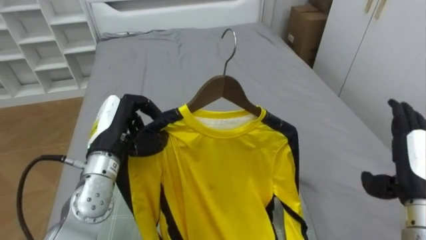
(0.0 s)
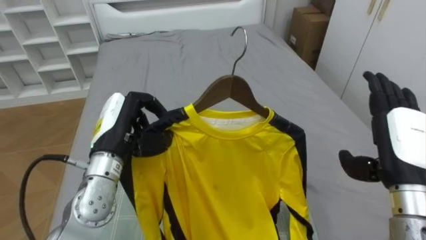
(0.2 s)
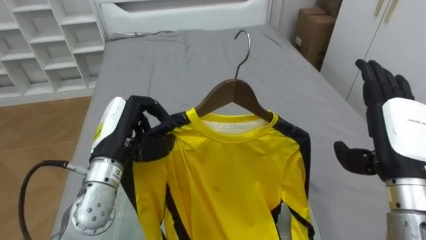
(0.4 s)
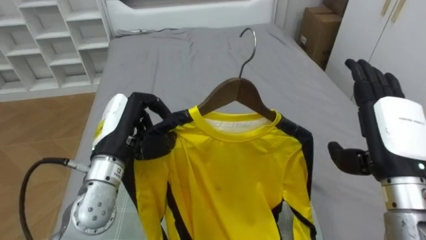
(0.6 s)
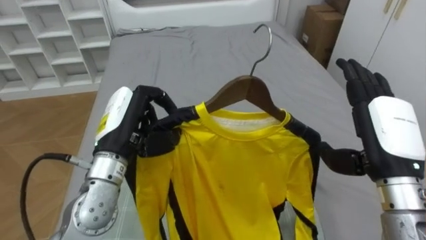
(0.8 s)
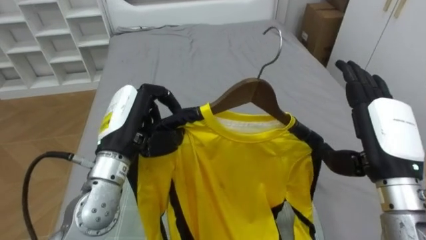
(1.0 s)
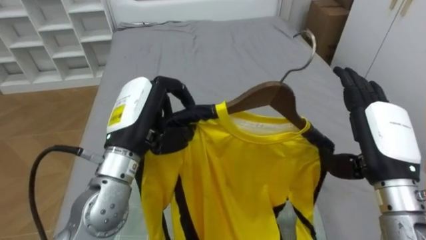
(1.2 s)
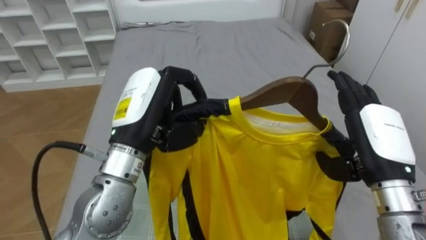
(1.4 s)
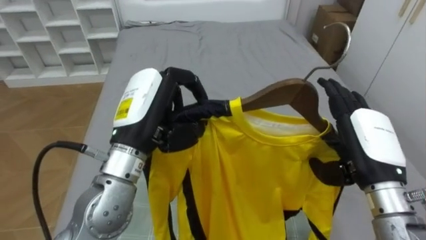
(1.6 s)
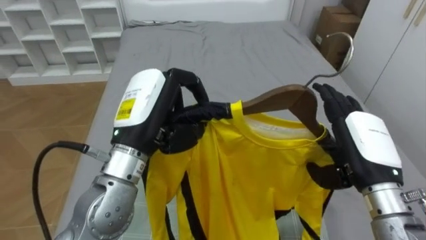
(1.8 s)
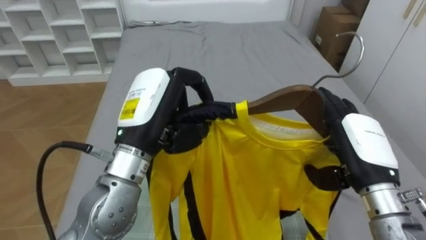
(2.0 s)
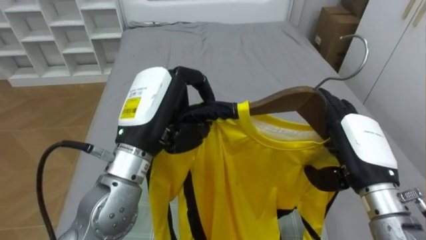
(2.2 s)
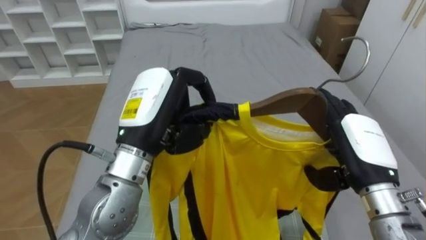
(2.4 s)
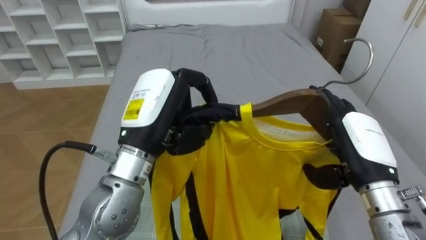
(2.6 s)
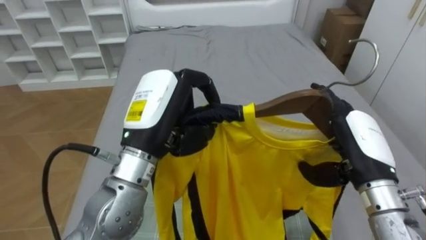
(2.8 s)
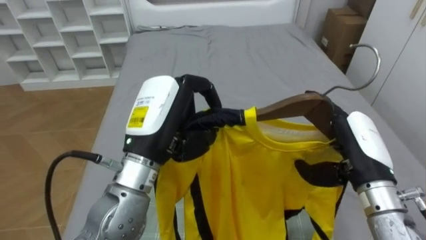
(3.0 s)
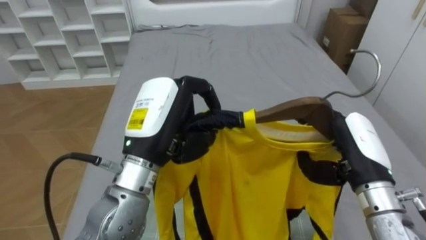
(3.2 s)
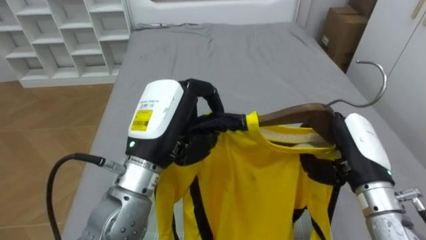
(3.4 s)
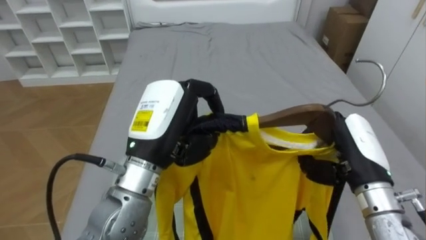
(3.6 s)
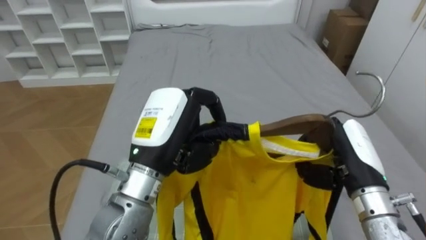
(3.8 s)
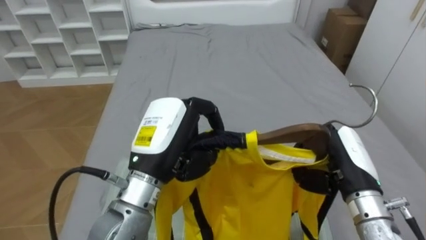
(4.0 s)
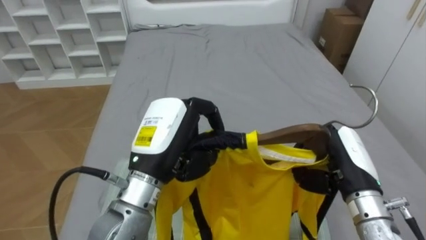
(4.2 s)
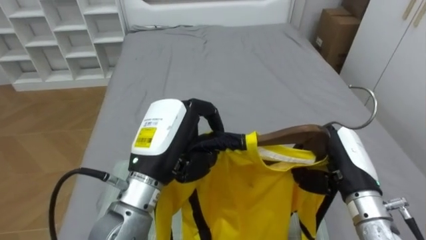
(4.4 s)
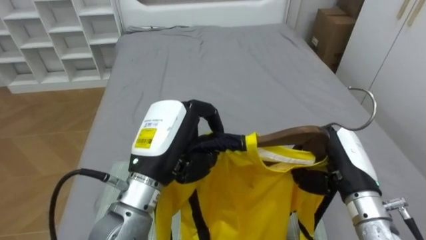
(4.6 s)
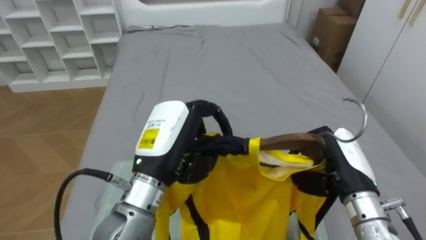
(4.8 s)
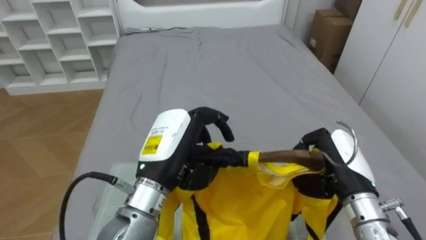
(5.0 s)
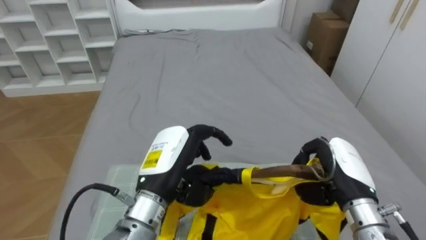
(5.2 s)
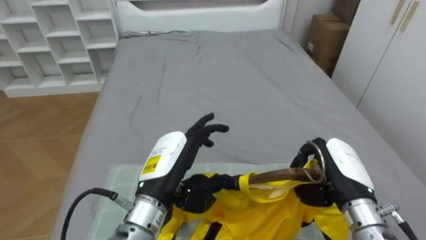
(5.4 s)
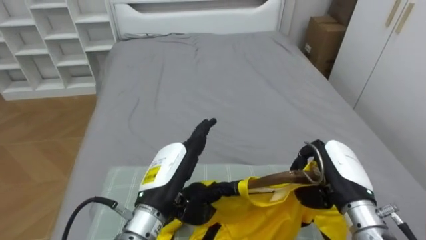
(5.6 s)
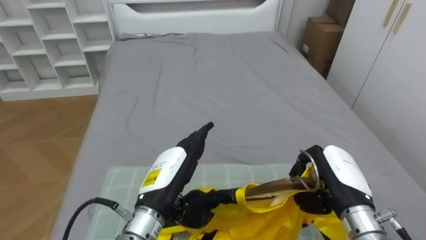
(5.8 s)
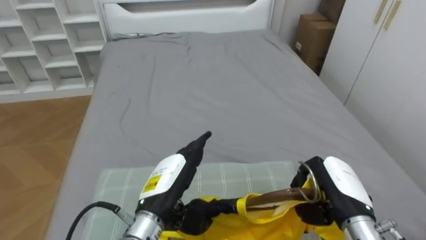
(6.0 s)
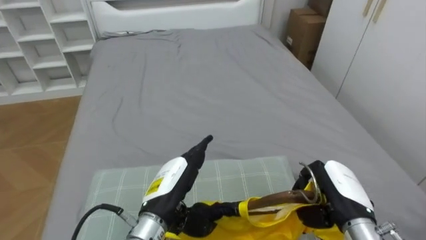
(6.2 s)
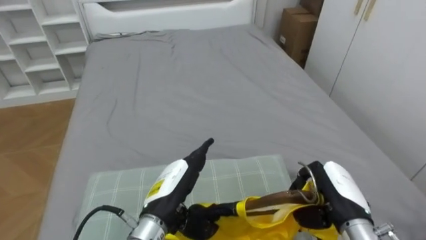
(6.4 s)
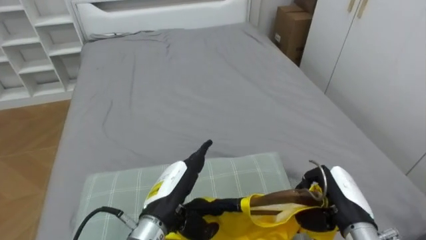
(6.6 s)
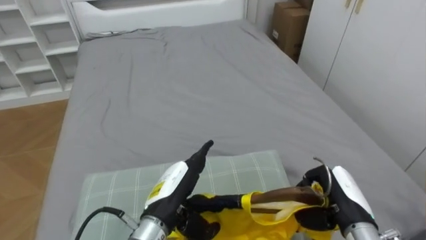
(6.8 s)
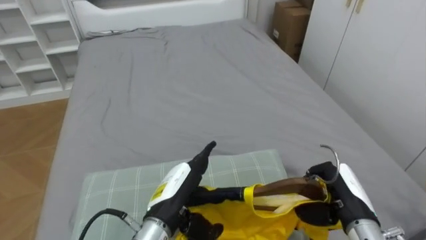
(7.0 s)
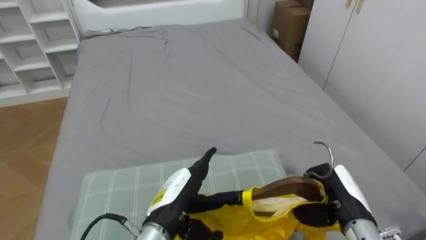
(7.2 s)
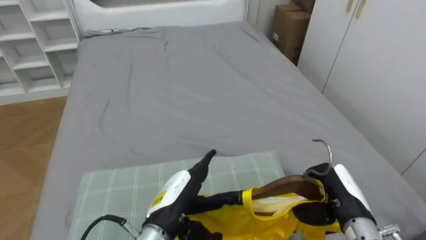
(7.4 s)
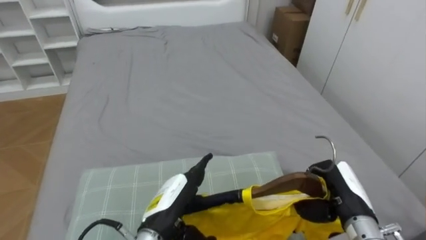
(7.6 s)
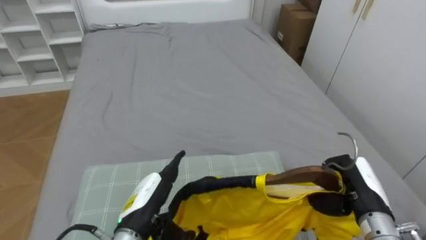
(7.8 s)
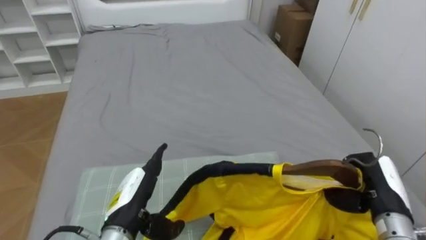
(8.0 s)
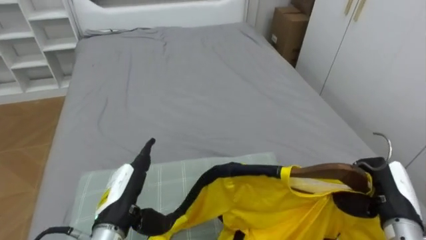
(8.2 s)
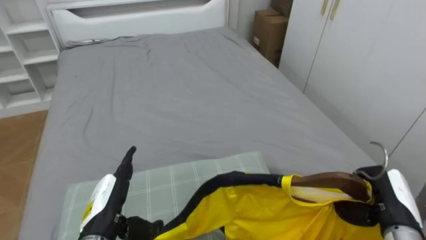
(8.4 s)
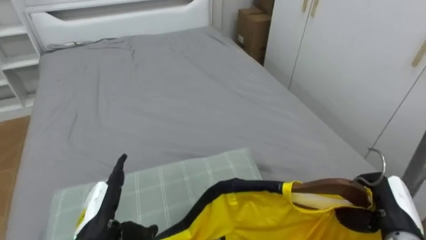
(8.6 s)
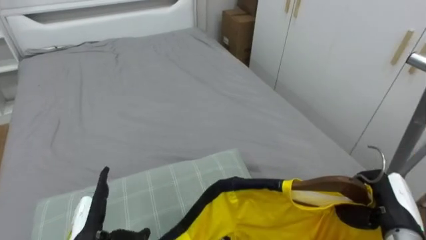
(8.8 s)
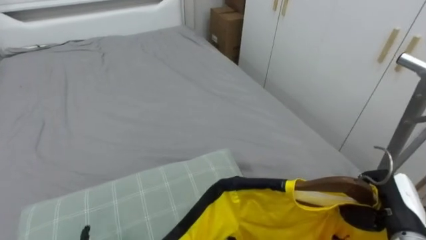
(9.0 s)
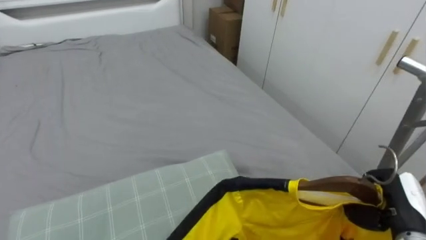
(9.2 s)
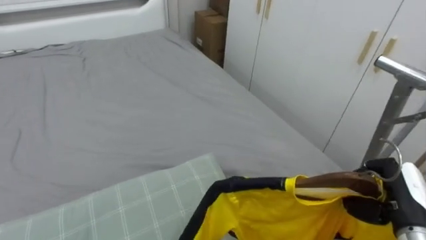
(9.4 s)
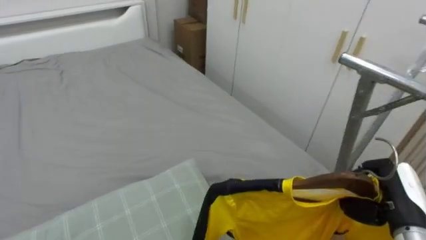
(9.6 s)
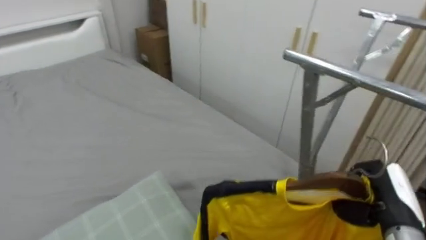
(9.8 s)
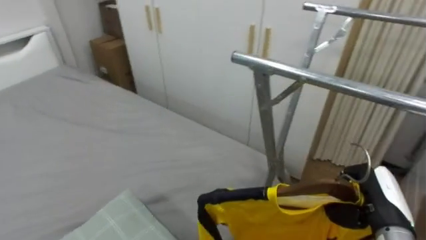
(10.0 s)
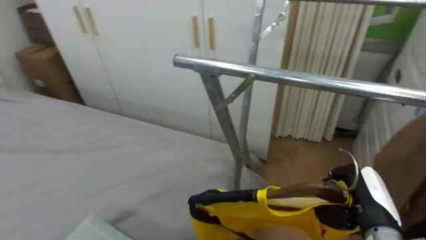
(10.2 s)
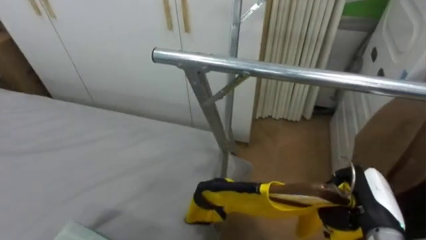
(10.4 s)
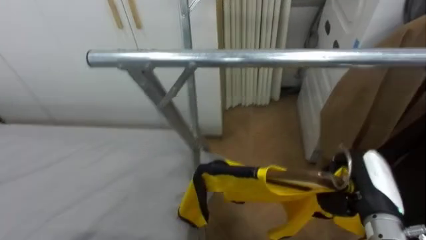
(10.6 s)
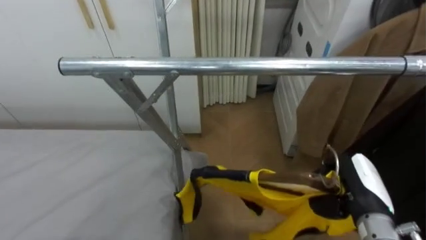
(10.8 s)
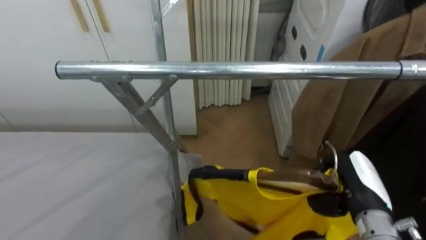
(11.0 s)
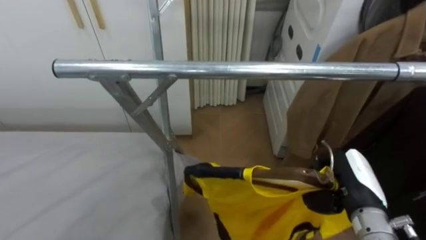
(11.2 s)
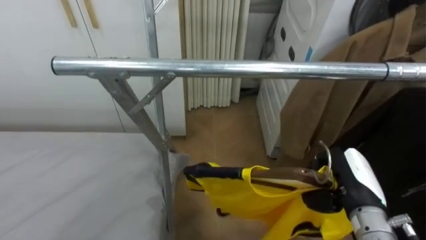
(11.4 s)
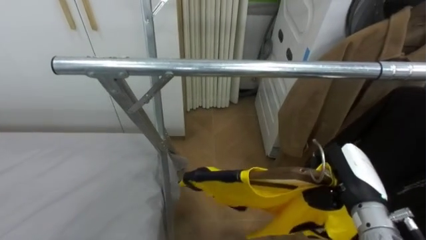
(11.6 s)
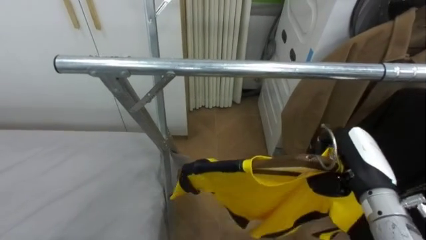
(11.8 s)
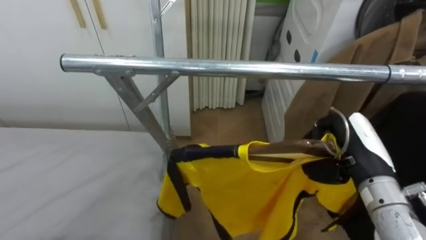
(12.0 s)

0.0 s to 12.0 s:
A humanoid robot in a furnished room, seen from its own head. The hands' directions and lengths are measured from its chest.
Task of the whole recording: Pick up the yellow shirt on the bed and hang it on the clothes rack on the right.
0.0 to 1.6 s: The left hand is displaced upward and to the right by some 10 cm. The right hand is displaced to the left by approximately 10 cm.
3.0 to 4.4 s: The right hand closes its fingers.
4.4 to 6.0 s: The right hand heads downward, covering about 5 cm; the left hand shifts some 10 cm downward, and opens.
7.6 to 9.0 s: The robot rotates some 15 degrees to its right. The right hand is displaced to the right by some 10 cm.
9.0 to 10.4 s: The robot turns to its right by some 45 degrees.
10.4 to 12.0 s: The robot's body swings roughly 15 degrees to its right. The right hand moves upward, approximately 10 cm.

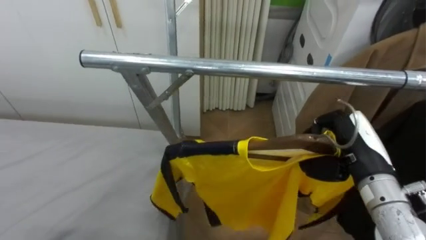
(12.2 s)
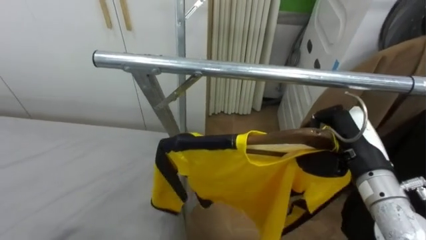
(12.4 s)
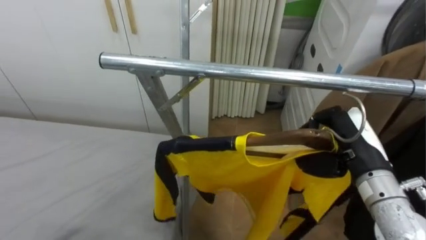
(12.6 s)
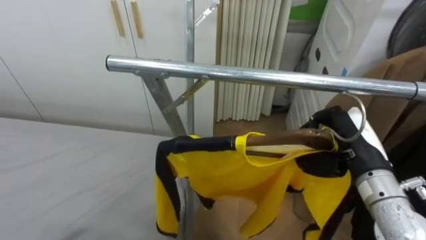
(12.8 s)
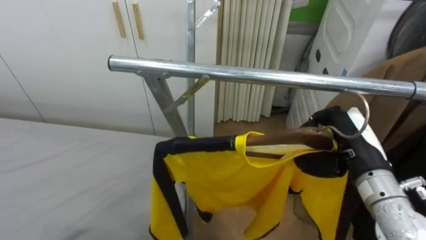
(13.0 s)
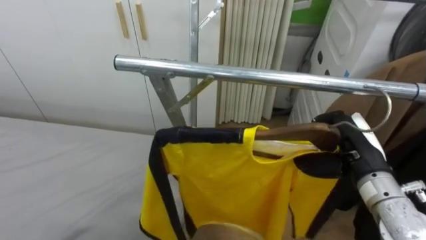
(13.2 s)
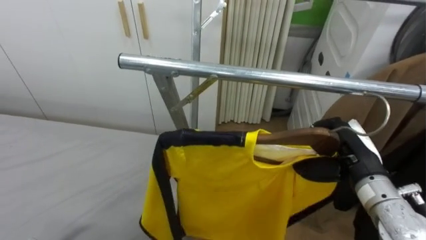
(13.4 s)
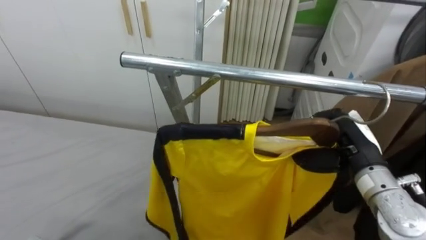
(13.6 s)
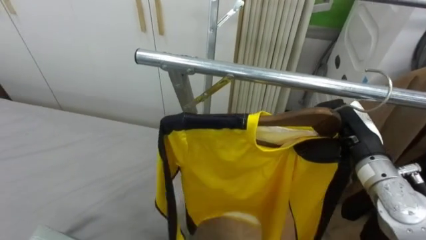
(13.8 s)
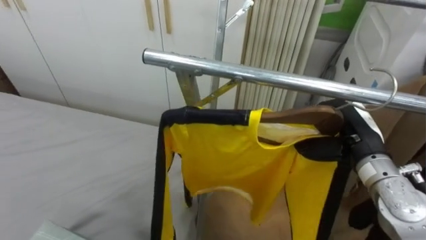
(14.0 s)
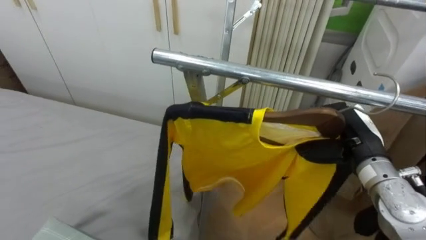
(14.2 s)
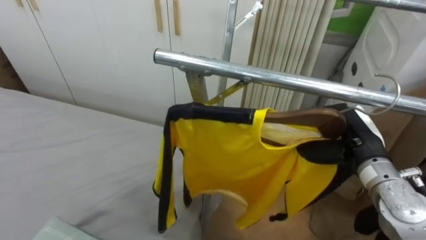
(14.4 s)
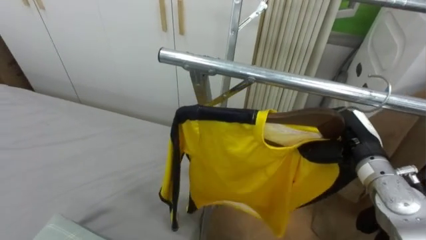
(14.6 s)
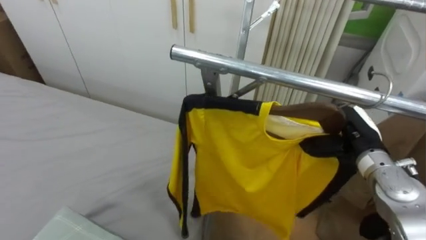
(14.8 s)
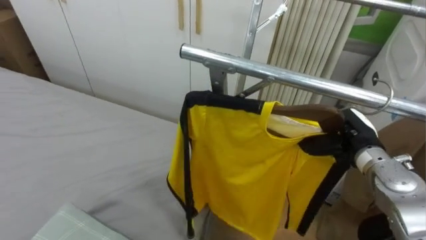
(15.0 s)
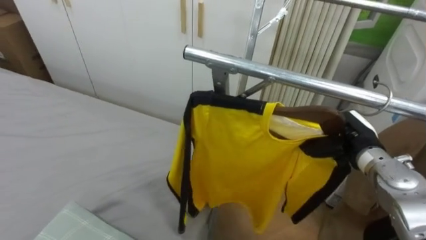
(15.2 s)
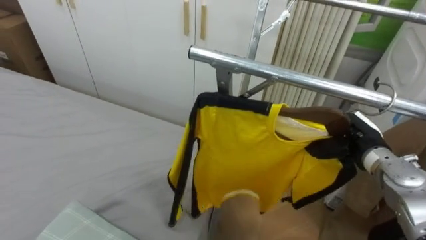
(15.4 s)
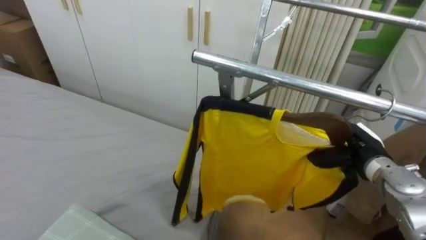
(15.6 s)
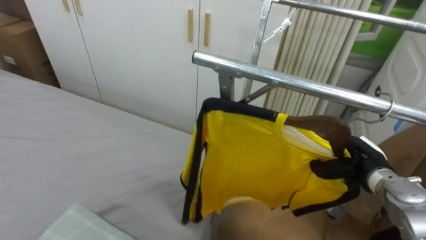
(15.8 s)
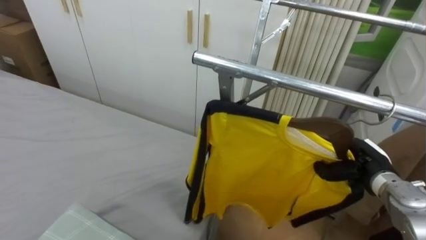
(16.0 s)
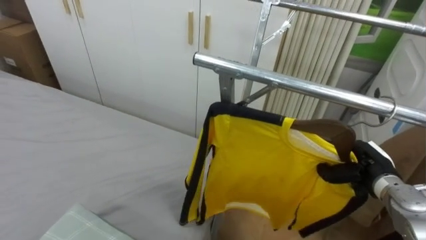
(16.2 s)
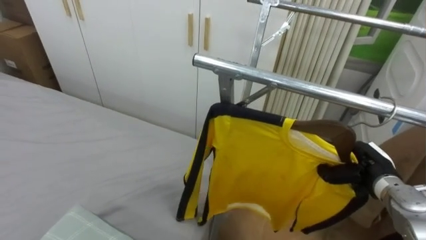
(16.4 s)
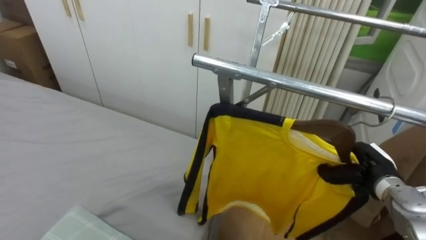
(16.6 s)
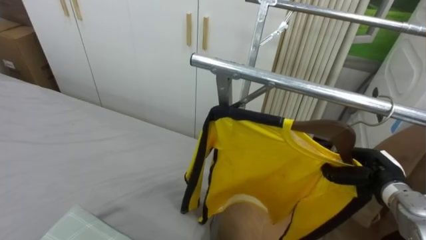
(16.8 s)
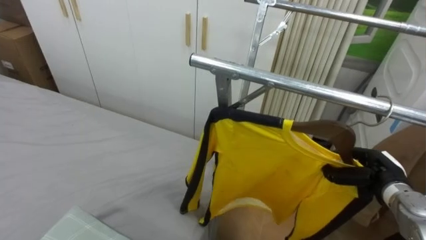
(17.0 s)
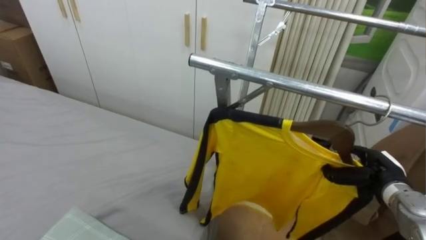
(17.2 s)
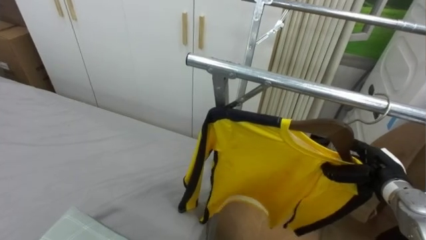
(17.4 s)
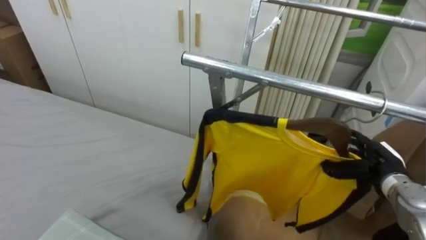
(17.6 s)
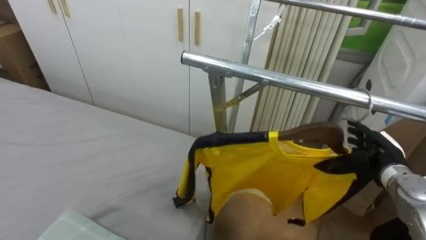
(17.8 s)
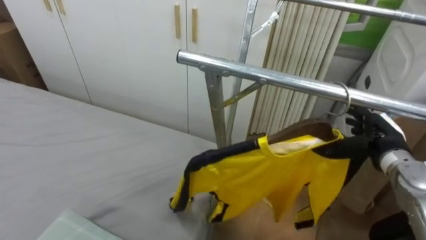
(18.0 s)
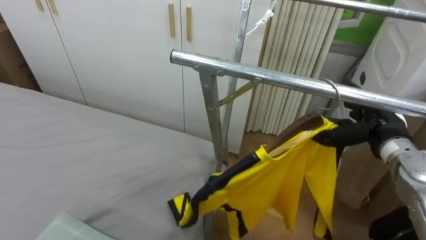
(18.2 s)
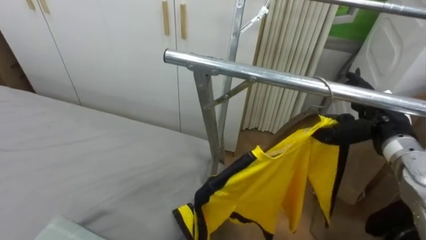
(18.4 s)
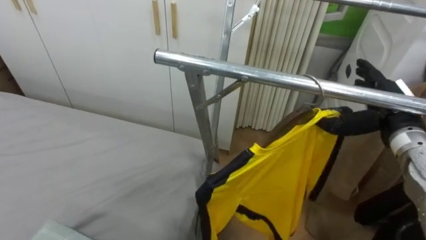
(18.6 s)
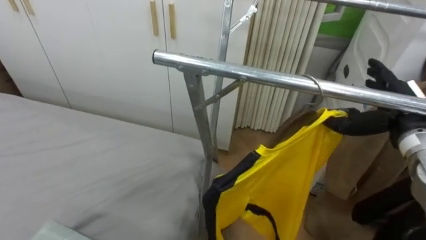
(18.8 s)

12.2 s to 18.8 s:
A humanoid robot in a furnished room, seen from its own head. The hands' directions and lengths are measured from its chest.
Task of the whole recording: Pick up the yellow shirt on the bed and hang it on the clothes rack on the right.
13.8 to 15.4 s: The right hand heads downward, covering about 5 cm.
15.4 to 17.2 s: The right hand heads downward and to the right, covering about 10 cm, and opens.
17.2 to 18.8 s: The right hand heads upward, covering about 15 cm.
